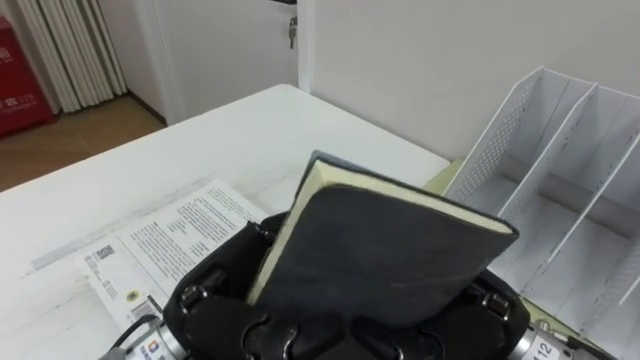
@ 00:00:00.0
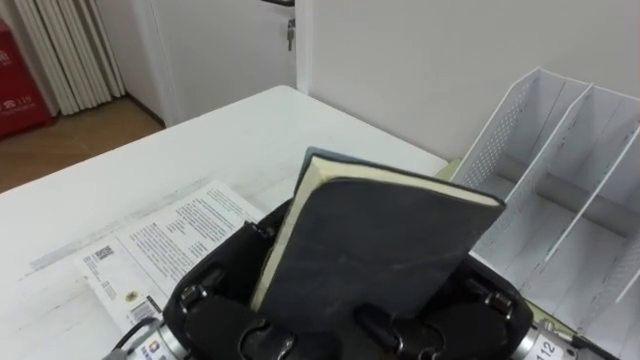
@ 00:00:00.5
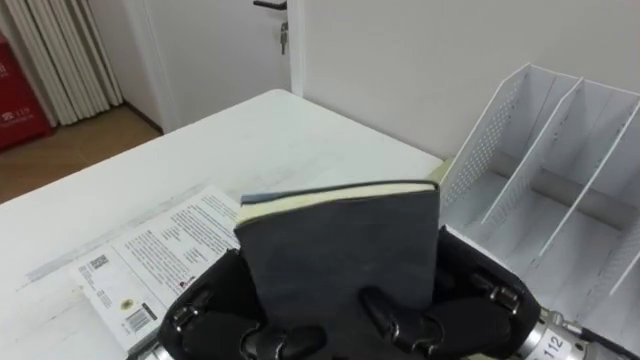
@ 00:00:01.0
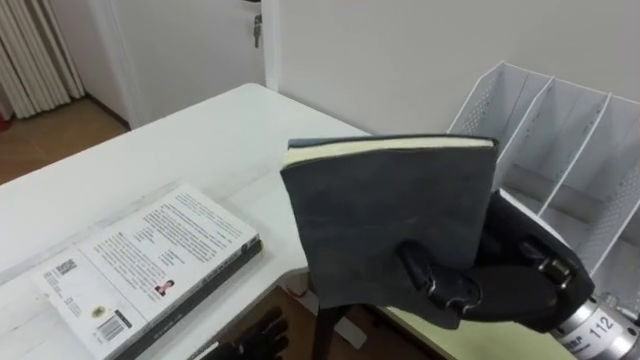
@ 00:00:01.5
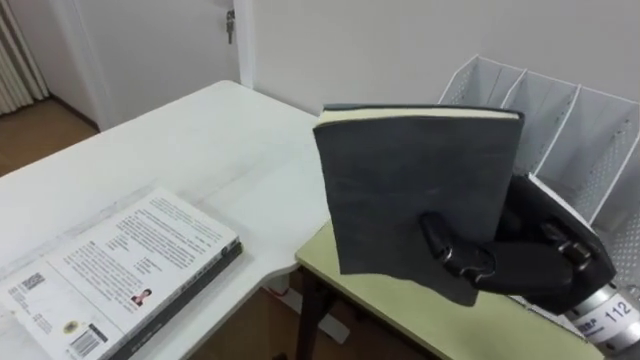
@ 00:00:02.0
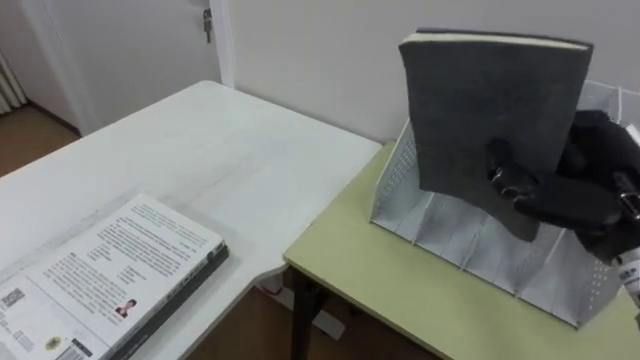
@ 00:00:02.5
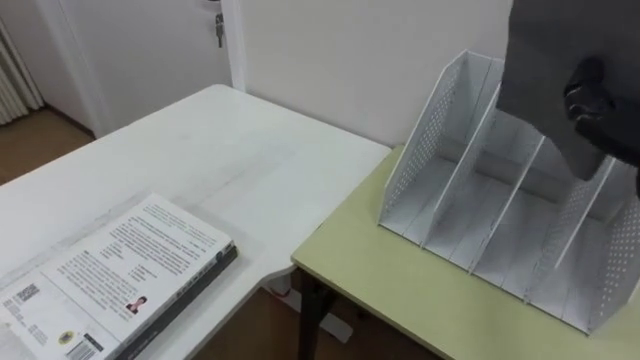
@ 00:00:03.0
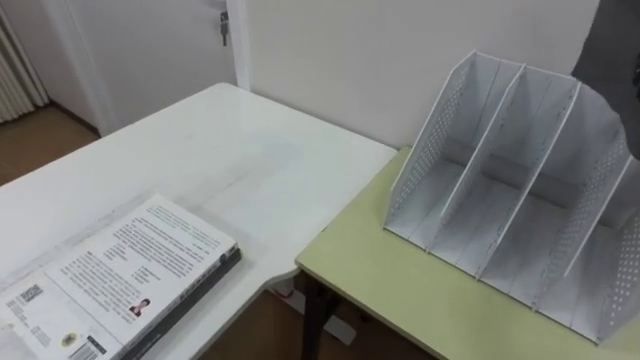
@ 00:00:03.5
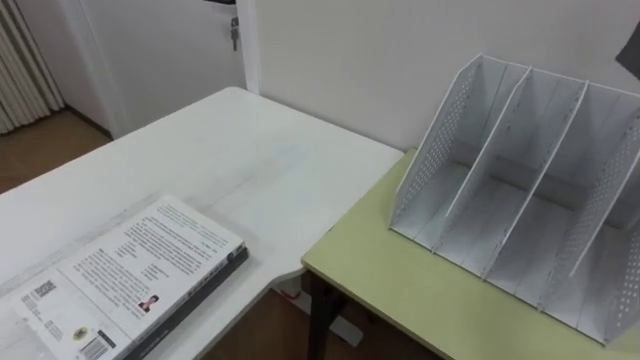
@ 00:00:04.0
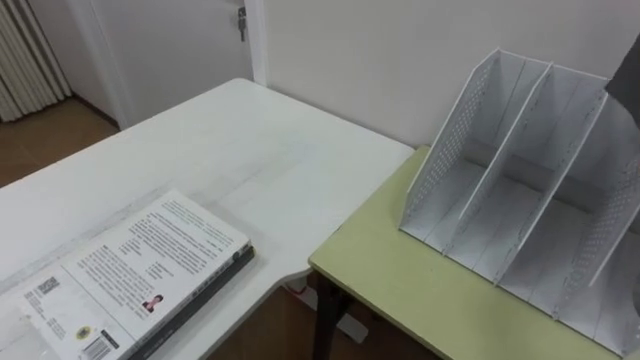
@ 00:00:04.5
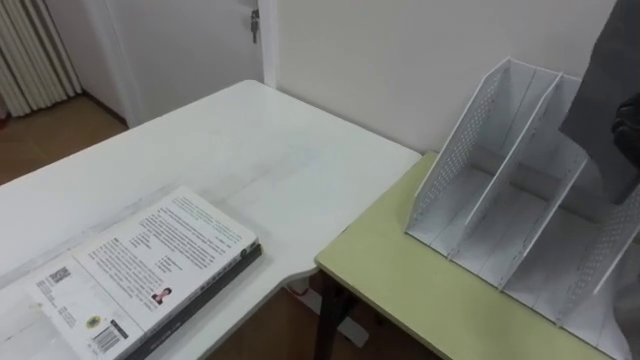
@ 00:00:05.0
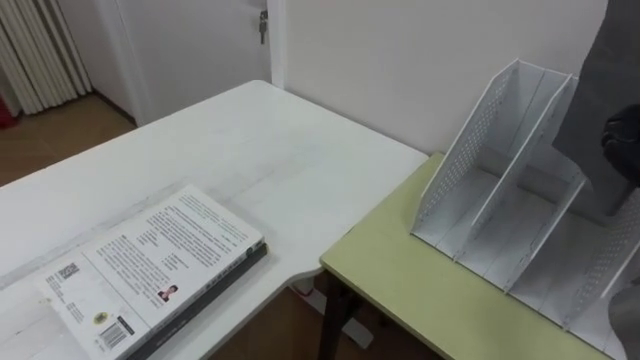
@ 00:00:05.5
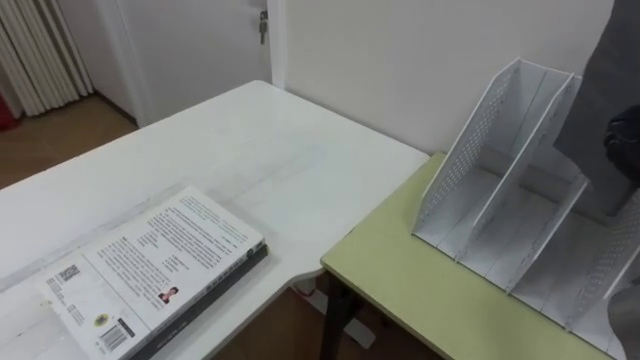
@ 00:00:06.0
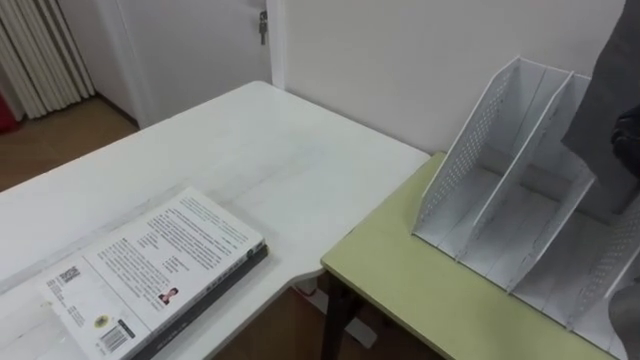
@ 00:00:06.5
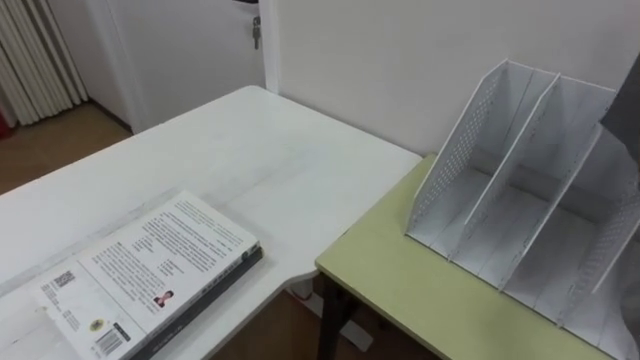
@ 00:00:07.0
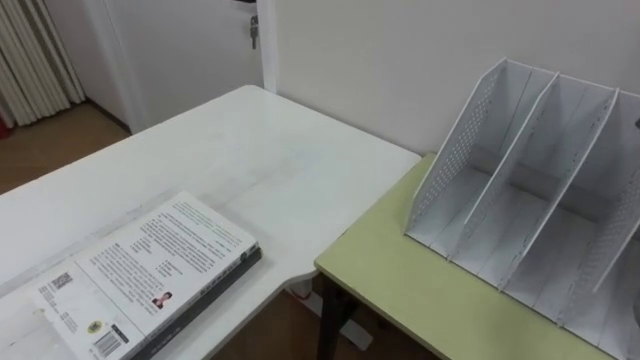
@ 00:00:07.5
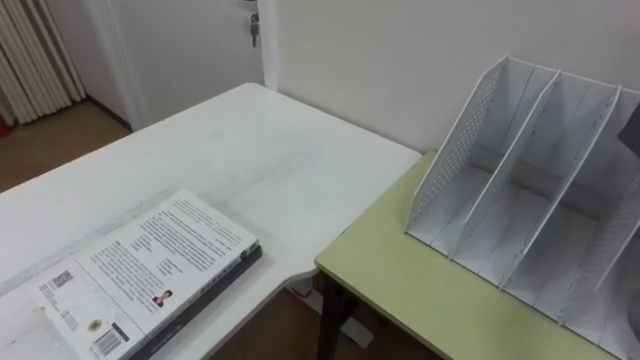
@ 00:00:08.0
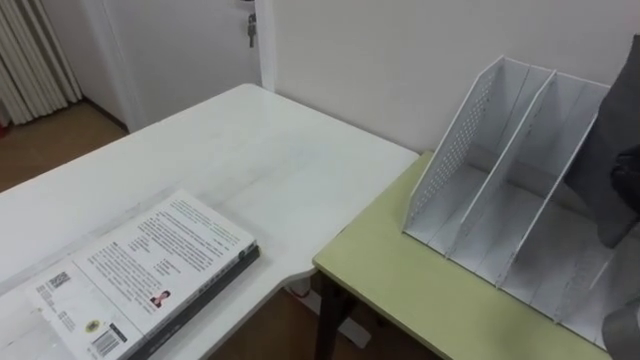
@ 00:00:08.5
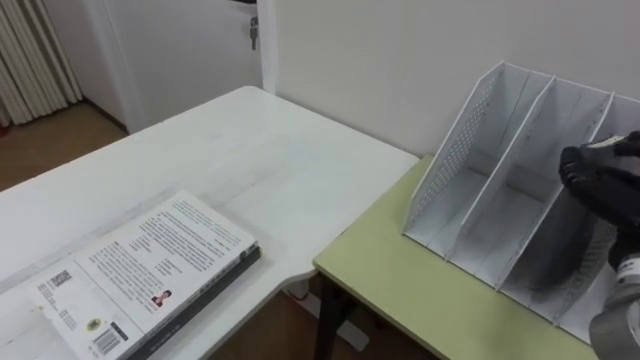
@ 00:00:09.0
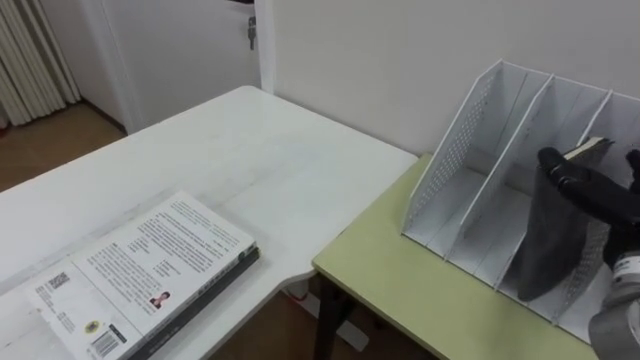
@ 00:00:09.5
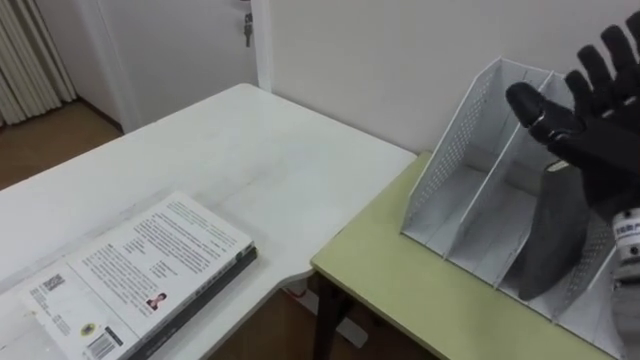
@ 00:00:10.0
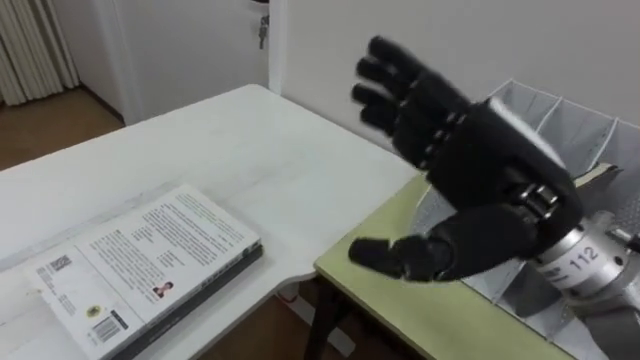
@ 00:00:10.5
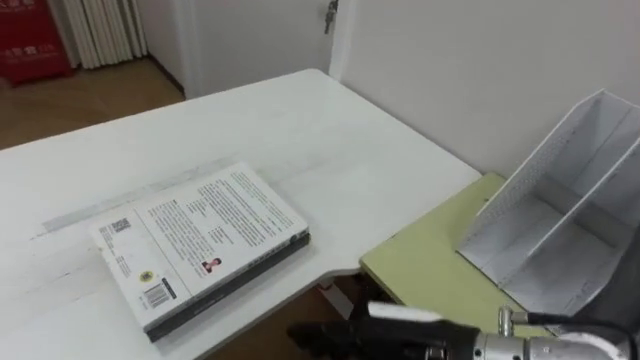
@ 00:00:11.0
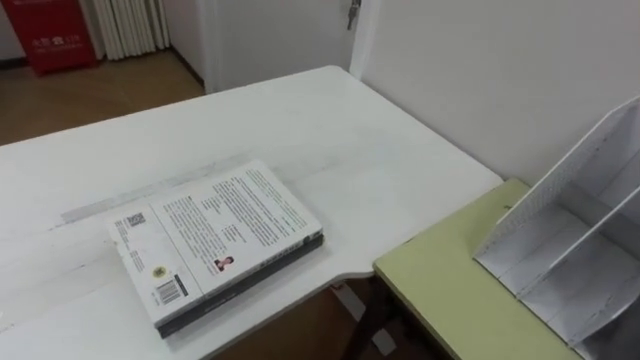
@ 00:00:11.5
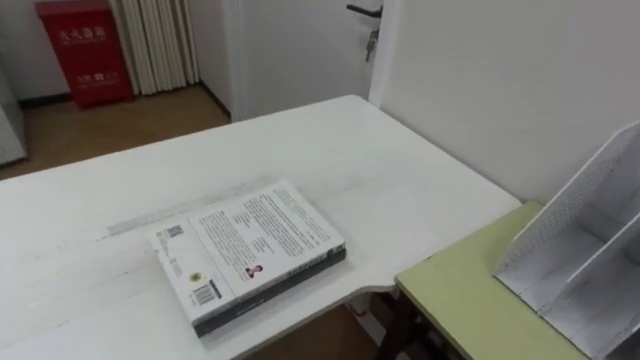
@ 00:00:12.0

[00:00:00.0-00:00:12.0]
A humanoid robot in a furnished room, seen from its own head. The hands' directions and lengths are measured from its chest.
Task of the whole recording: Put the books on the table onto the bookshelf.
00:00:00.0 to 00:00:02.0: The right hand heads to the right, covering about 5 cm.

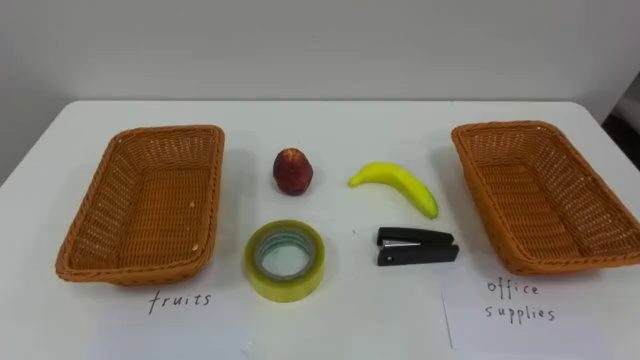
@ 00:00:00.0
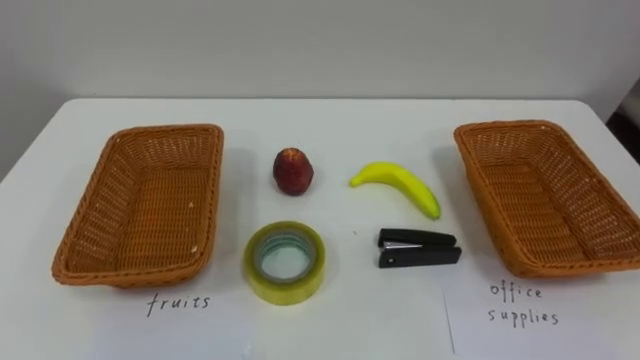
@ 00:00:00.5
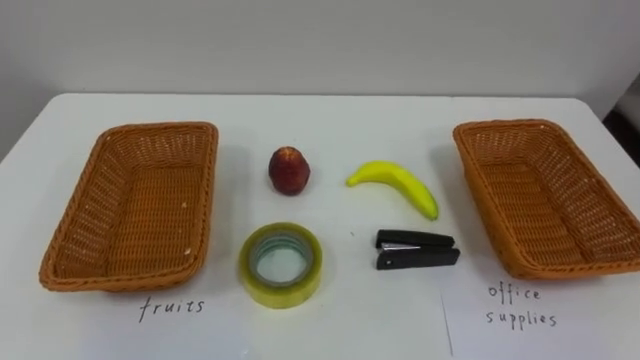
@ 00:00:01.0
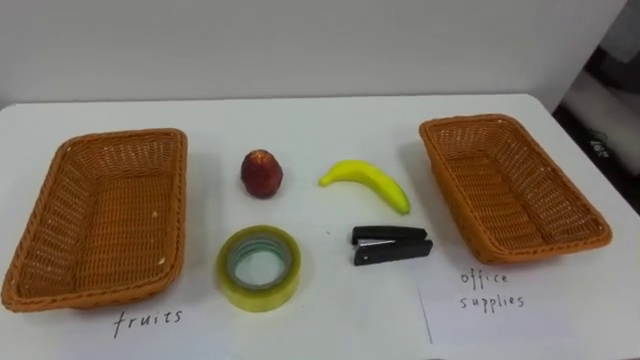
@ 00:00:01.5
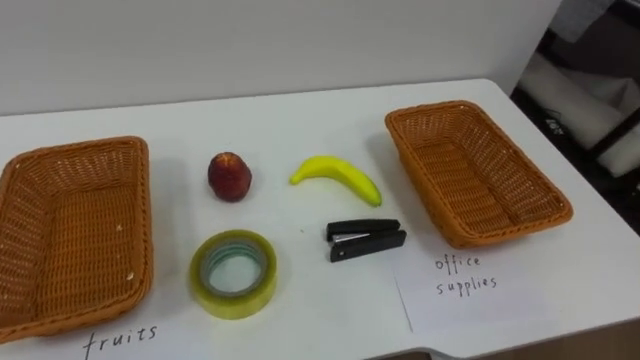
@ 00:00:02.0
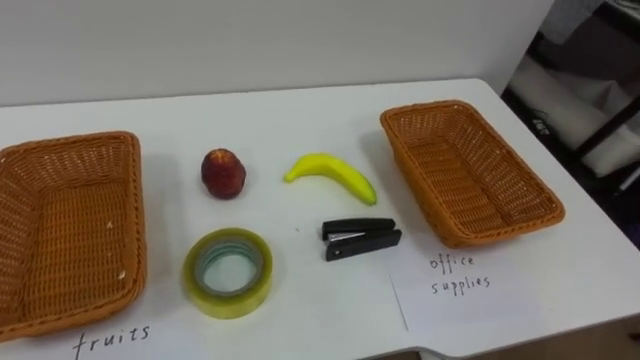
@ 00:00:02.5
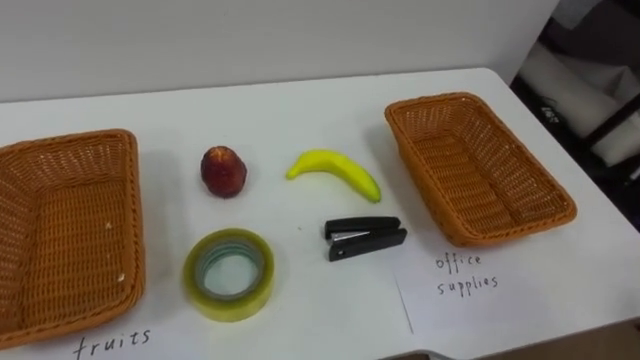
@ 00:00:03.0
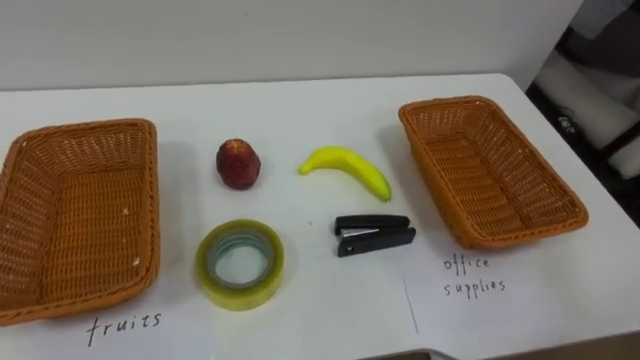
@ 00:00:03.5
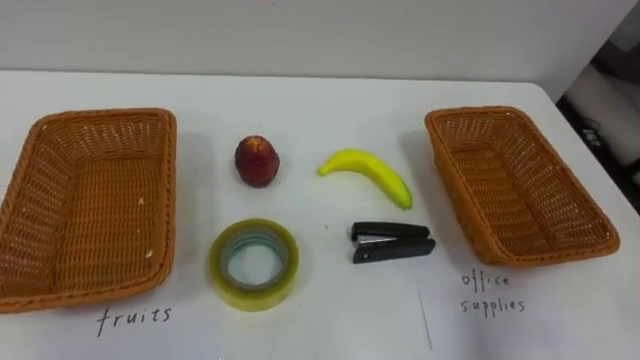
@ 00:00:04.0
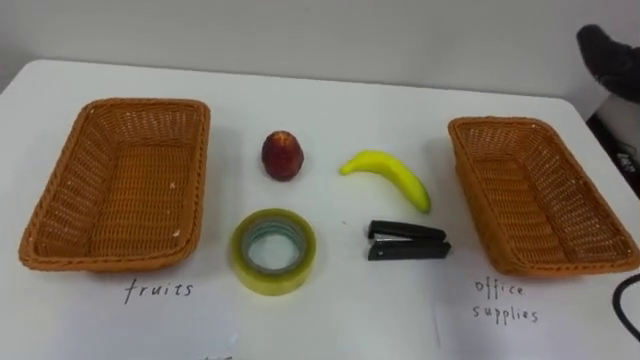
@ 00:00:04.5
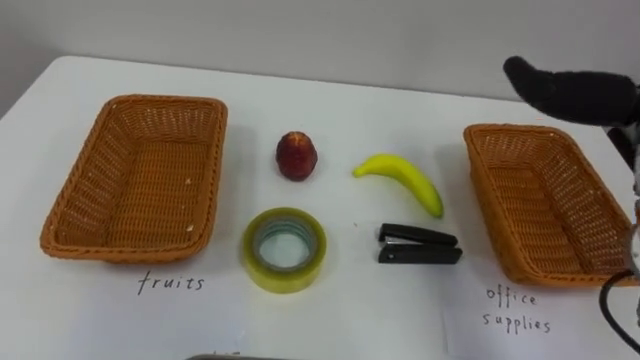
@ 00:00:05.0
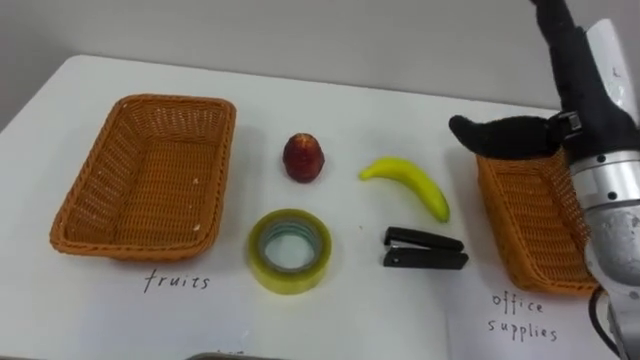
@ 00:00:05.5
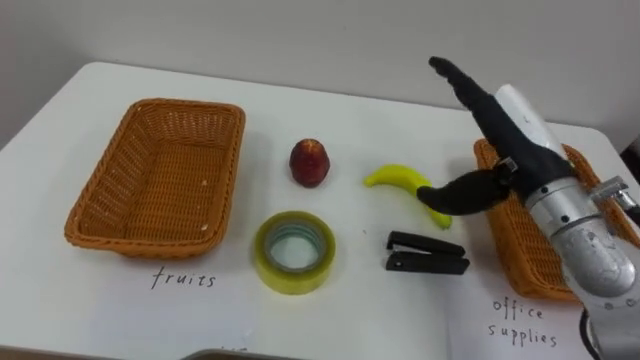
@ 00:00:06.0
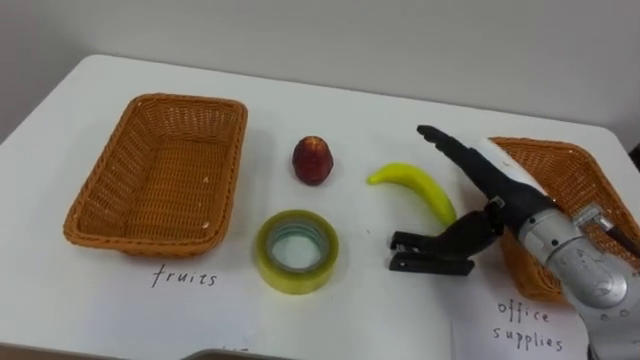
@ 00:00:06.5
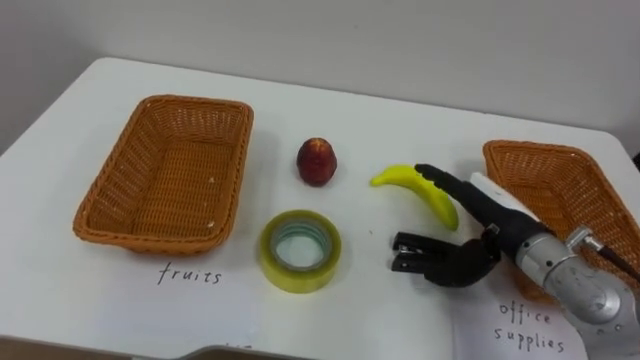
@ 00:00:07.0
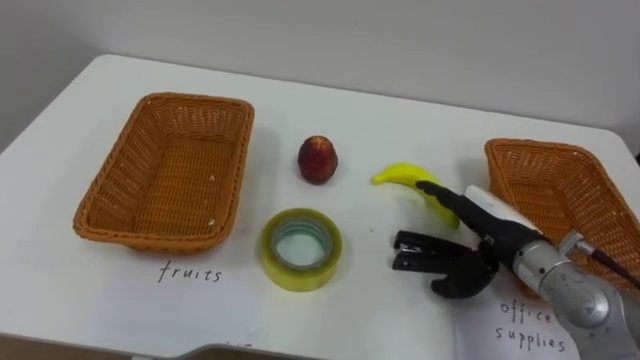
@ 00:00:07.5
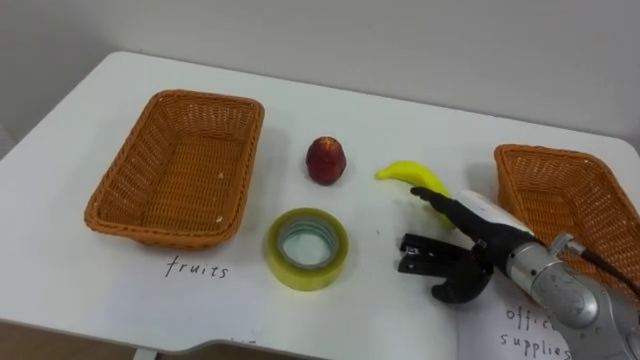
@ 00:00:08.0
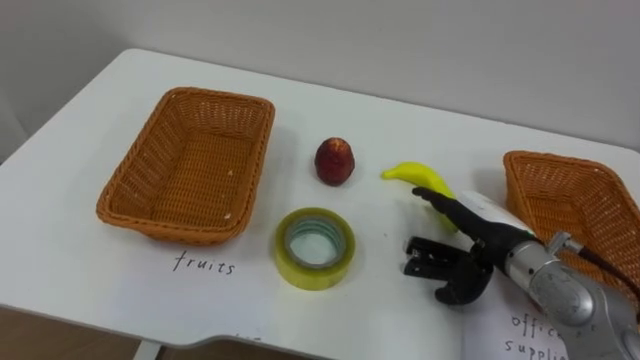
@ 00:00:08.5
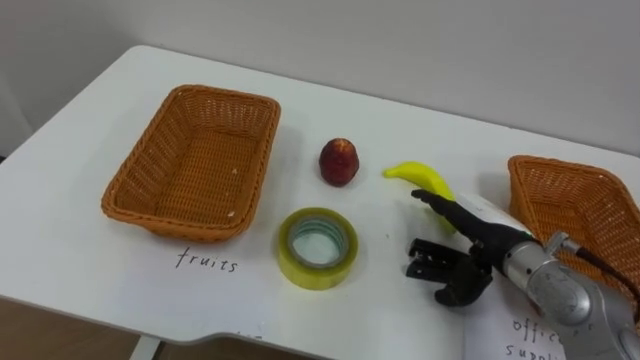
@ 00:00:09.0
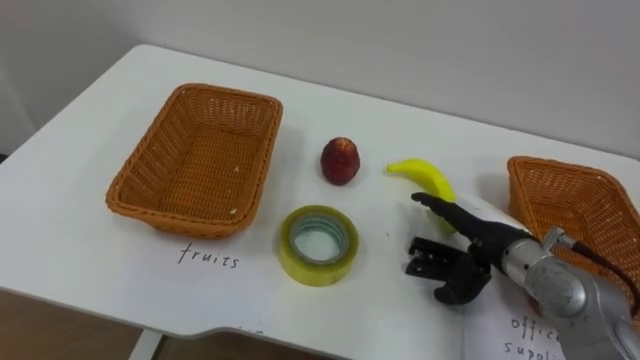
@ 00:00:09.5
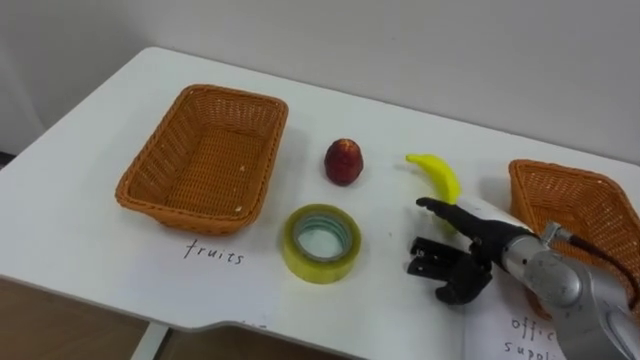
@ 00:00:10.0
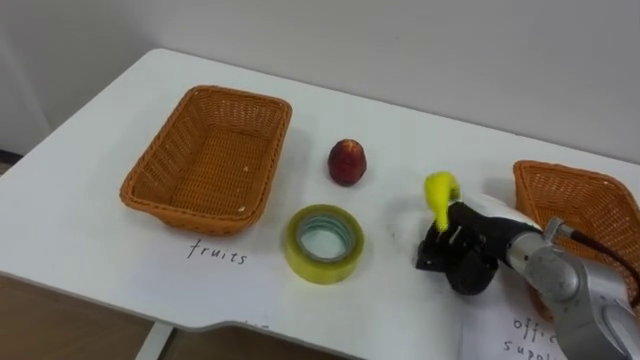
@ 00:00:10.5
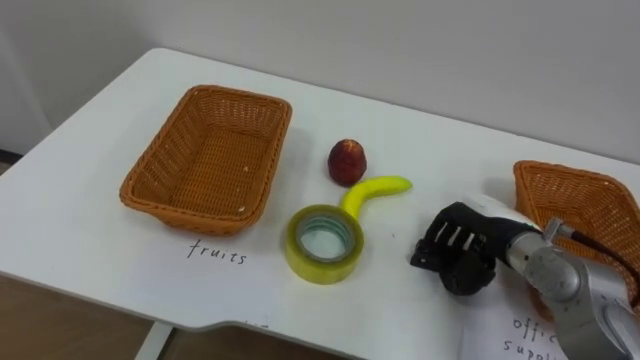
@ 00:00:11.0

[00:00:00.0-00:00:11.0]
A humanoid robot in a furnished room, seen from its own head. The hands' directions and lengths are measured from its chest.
Task of the whole recording: Separate the items on the table and place them into the two baskets.
00:00:05.5 to 00:00:07.5: The right hand goes about 20 cm downward.
00:00:09.0 to 00:00:11.0: The right hand closes.
